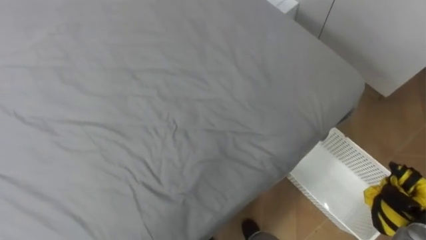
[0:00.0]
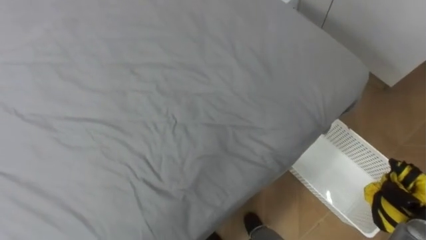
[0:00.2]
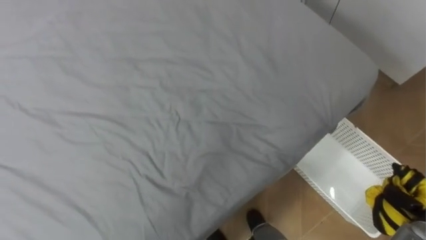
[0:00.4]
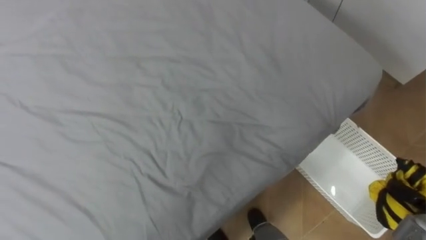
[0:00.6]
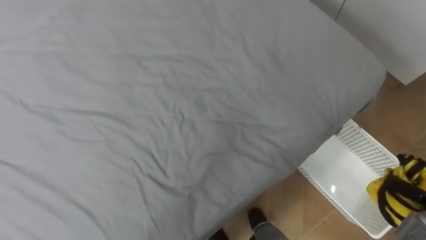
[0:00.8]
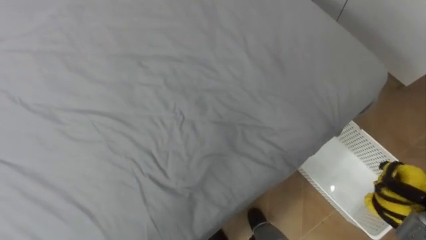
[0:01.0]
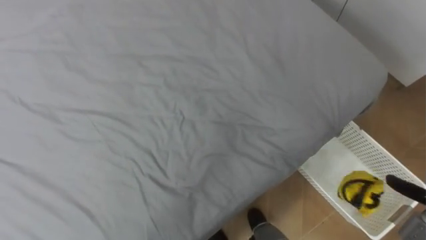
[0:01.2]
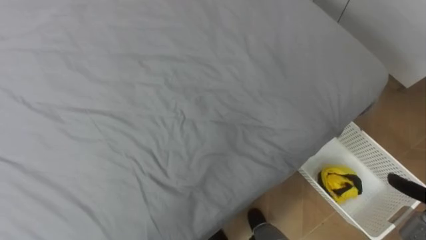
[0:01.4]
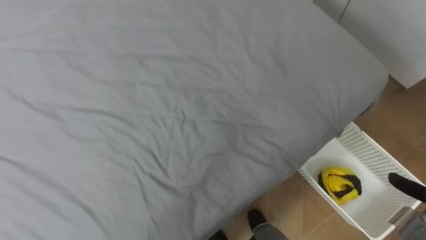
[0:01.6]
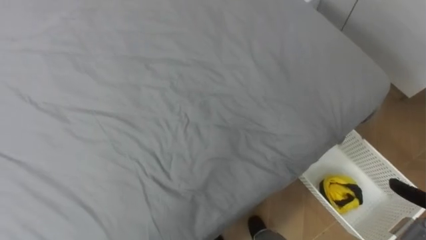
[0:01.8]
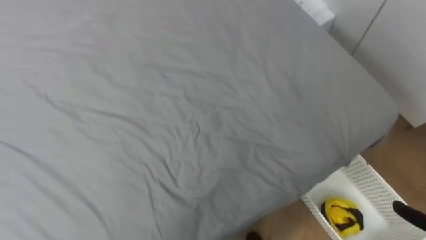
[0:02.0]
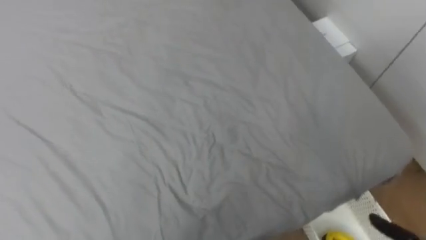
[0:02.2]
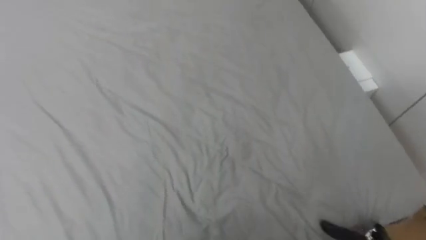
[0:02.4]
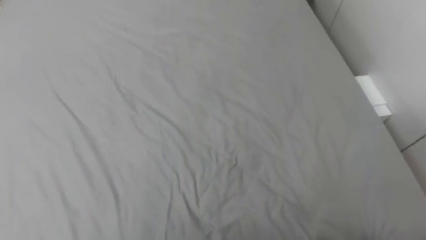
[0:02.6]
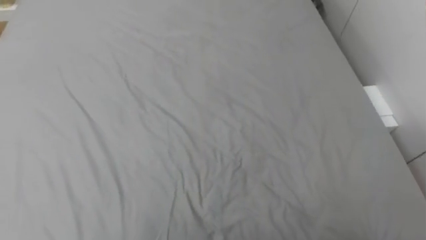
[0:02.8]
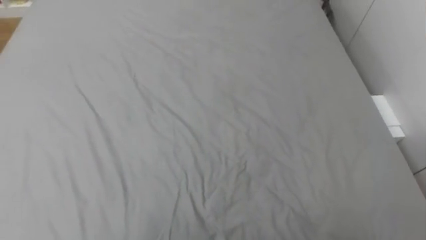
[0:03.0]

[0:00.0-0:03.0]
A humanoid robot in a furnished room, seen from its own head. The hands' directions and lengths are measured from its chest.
Task of the whole recording: Pick up the yellow clothes on the bed and place them into the white basket on the right.
0:01.6 to 0:03.0: The robot's body swings some 20 degrees to its left.

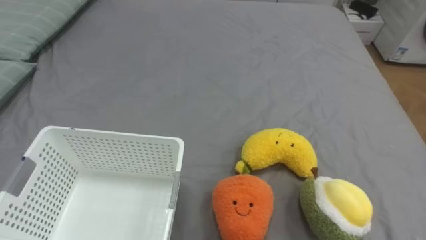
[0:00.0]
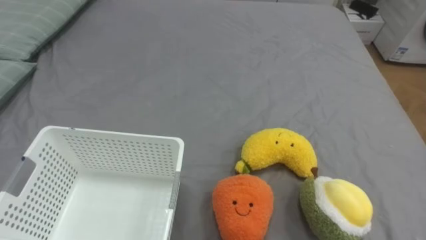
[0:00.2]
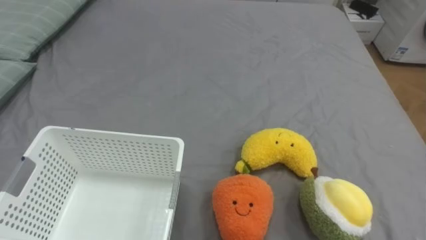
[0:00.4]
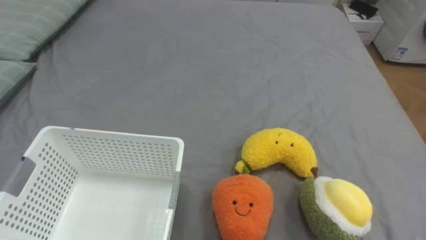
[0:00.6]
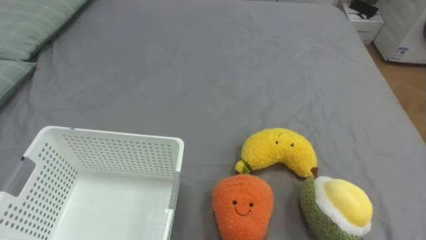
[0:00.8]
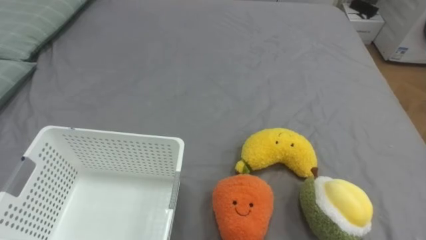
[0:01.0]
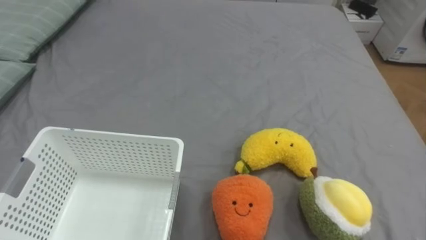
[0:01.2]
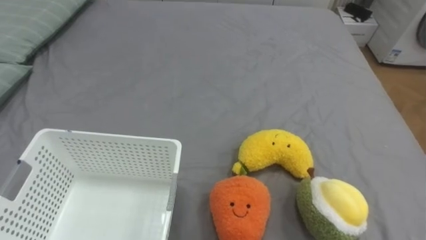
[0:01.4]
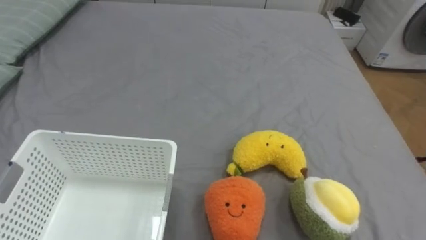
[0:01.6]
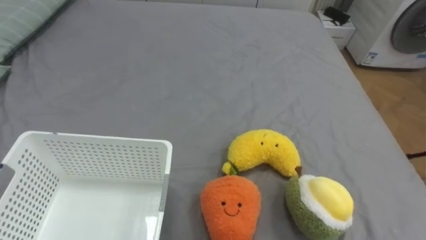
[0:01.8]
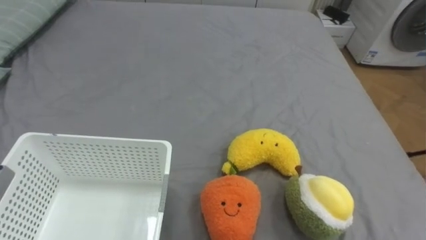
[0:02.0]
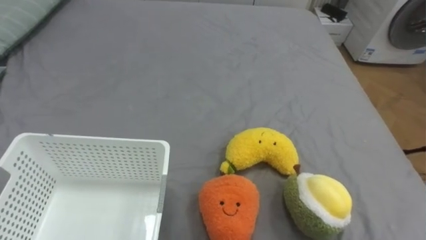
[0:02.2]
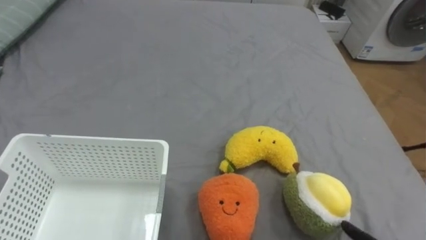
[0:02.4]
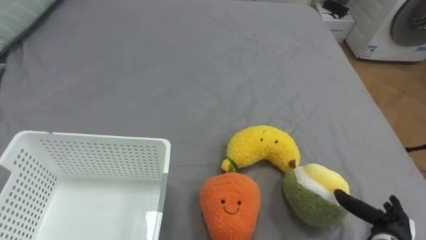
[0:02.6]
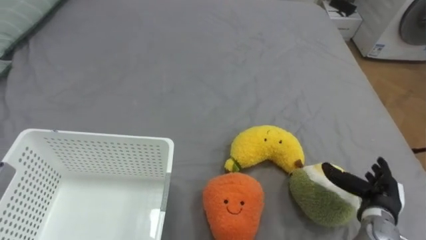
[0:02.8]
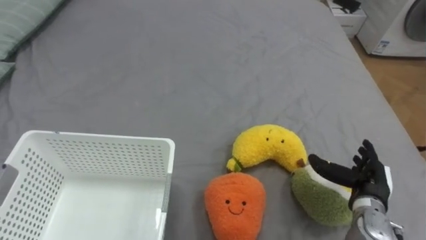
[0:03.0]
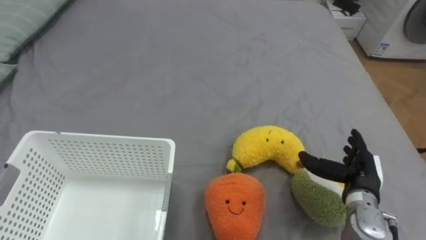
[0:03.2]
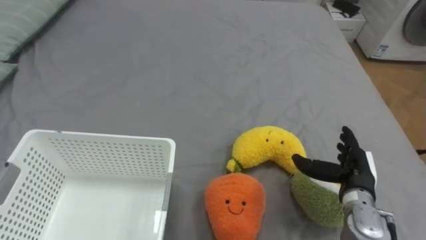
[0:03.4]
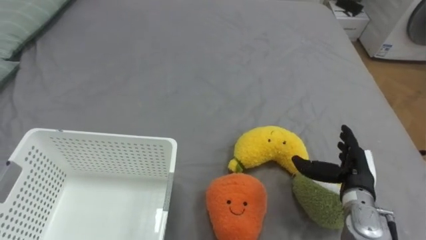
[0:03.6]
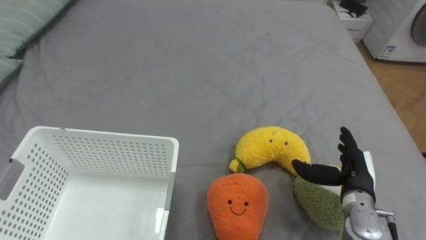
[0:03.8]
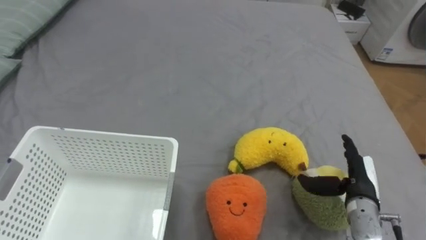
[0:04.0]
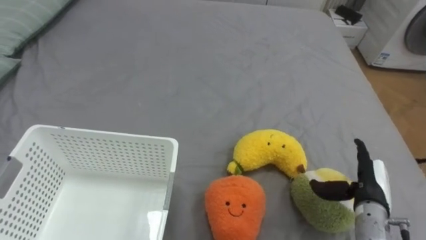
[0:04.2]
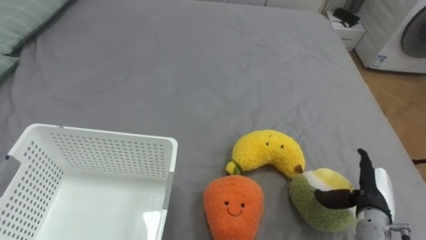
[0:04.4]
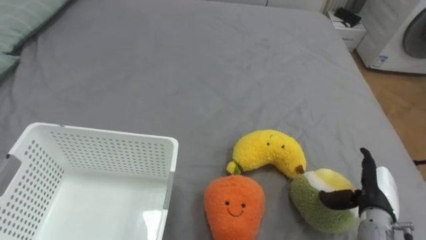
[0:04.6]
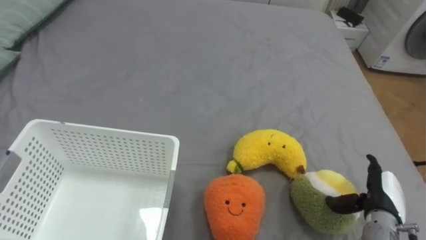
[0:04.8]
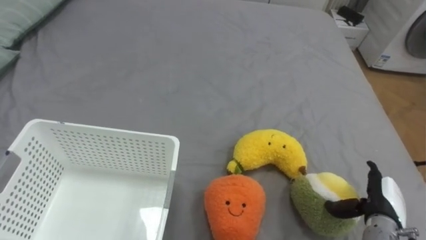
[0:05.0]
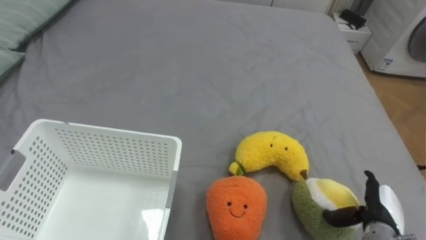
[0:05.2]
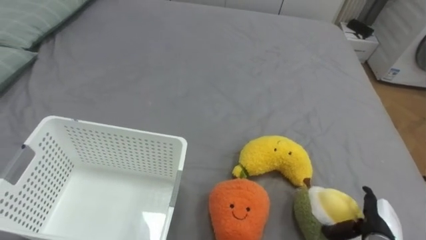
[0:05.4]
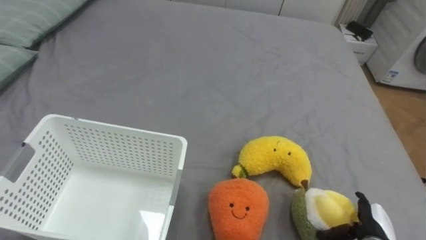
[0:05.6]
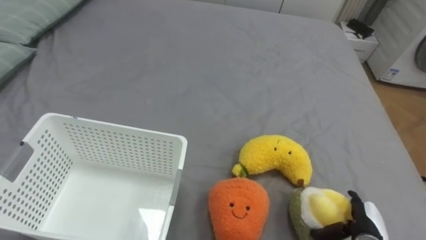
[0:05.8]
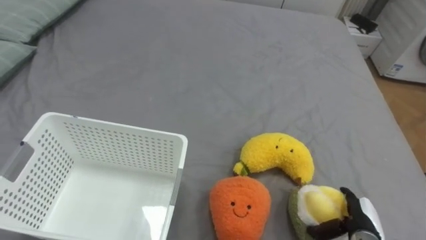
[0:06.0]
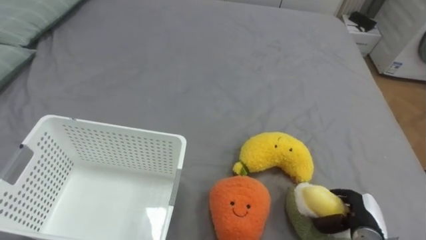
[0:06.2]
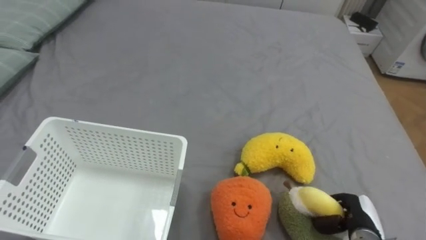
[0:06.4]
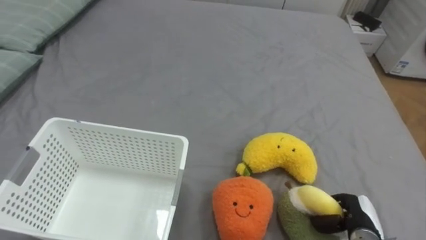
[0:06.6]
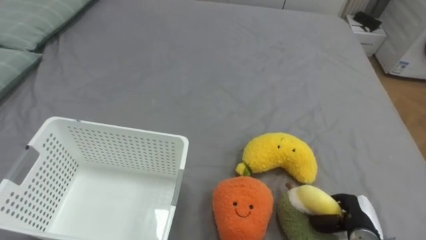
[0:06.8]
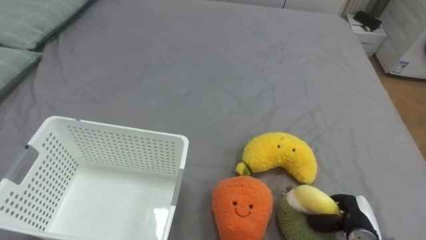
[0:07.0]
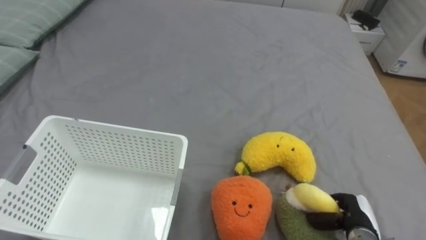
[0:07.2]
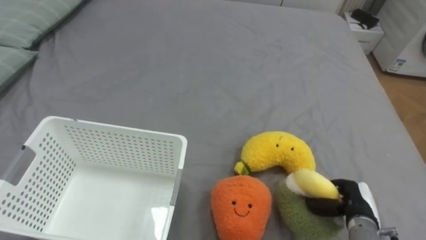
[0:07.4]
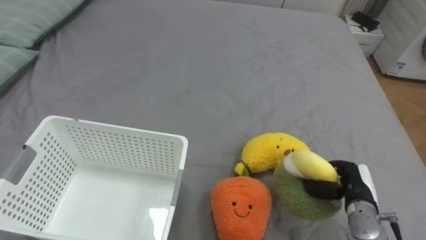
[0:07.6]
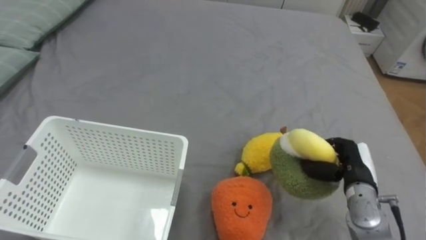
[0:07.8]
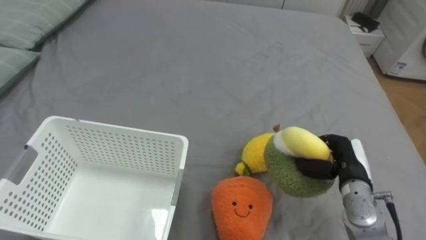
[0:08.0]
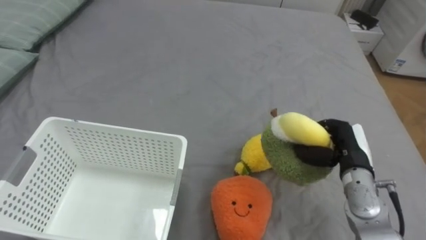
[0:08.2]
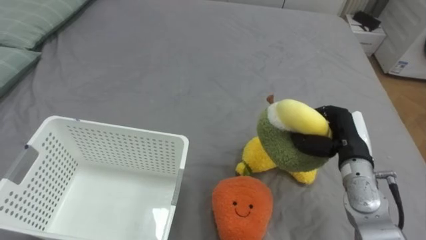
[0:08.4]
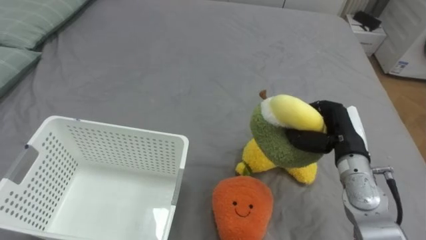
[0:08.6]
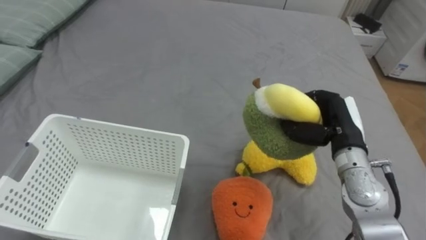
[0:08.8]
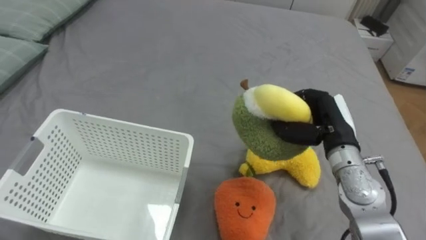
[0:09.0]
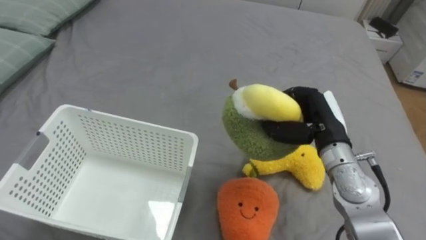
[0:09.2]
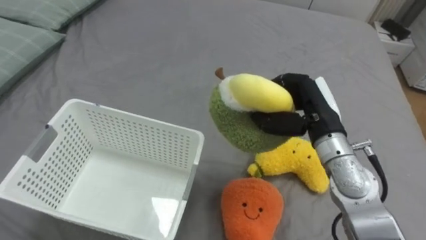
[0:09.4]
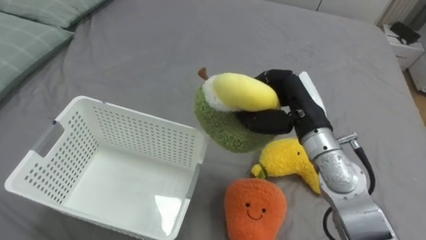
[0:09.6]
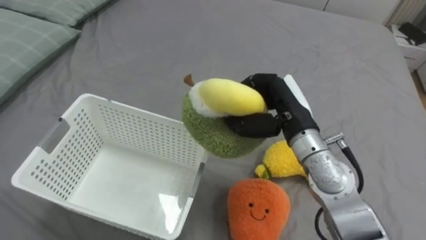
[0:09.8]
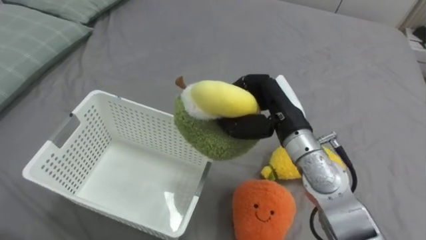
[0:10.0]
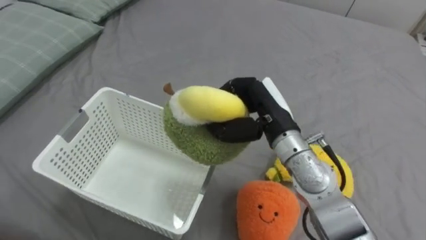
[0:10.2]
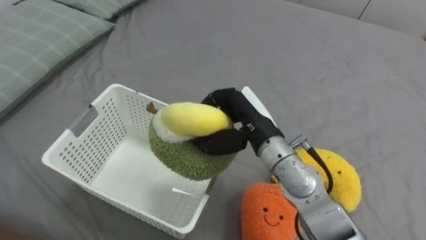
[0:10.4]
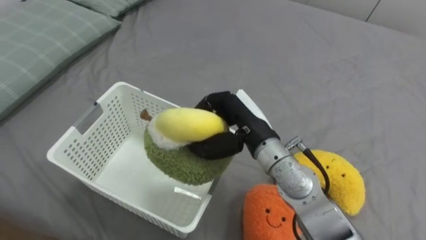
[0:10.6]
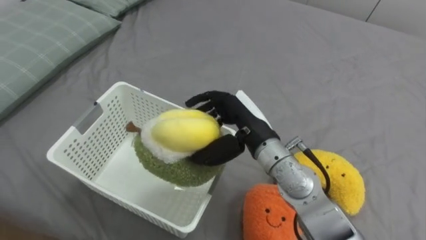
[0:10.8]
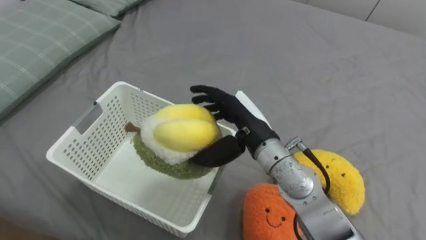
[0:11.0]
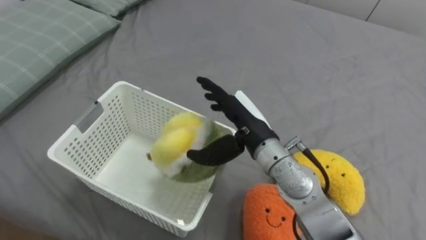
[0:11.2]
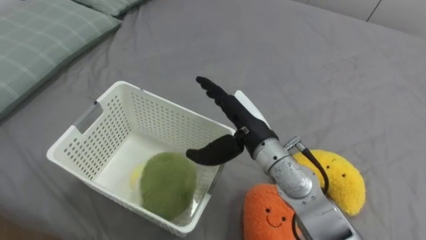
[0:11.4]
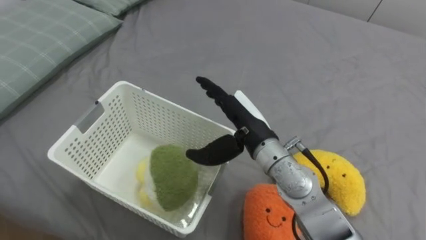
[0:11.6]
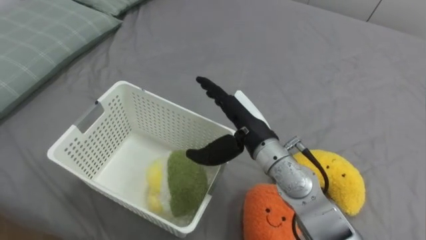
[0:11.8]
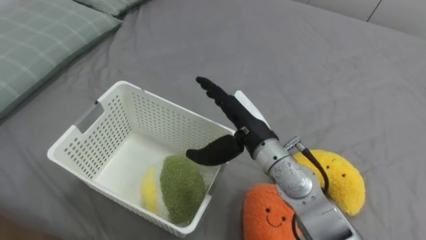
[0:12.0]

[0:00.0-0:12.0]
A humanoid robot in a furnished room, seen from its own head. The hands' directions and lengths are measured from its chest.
Task of the whole recording: Put the toys on the bed into the basket on the left.
0:04.4 to 0:06.0: The right hand is displaced downward by some 5 cm.
0:06.0 to 0:07.6: The right hand shifts by some 5 cm, and closes its fingers.
0:07.6 to 0:09.0: The right hand shifts about 15 cm upward, to the left and forward.
0:09.0 to 0:10.4: The right hand heads to the left, covering some 15 cm.
0:10.4 to 0:12.0: The right hand opens.

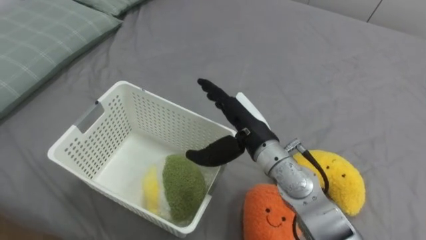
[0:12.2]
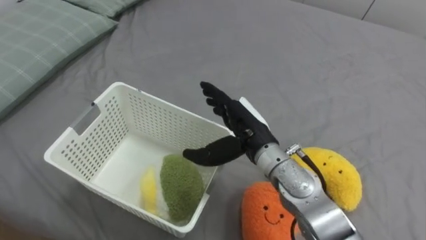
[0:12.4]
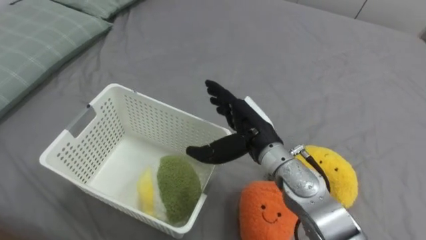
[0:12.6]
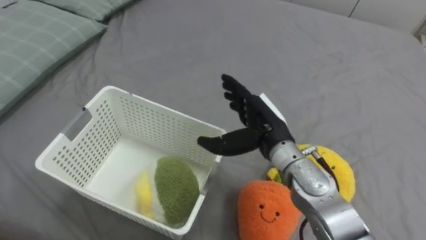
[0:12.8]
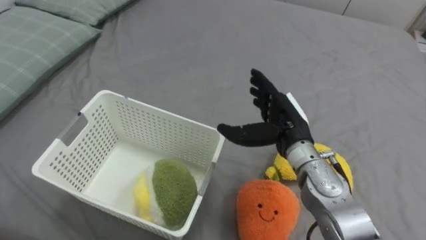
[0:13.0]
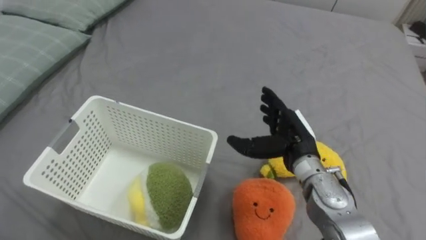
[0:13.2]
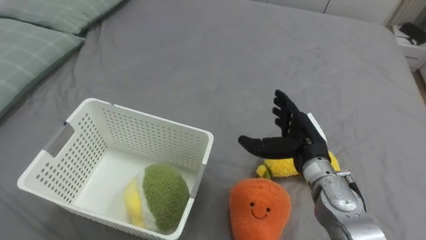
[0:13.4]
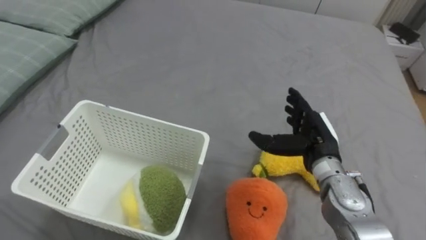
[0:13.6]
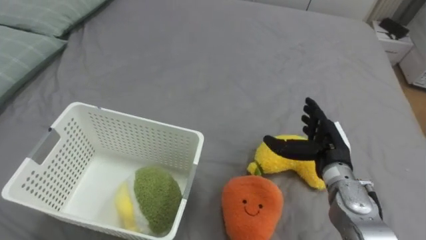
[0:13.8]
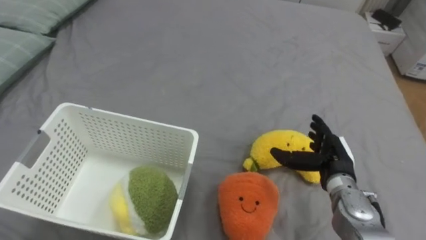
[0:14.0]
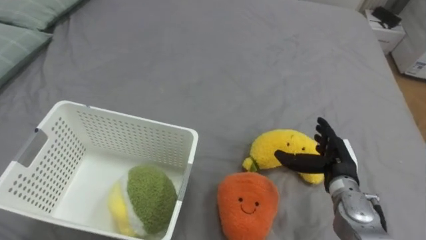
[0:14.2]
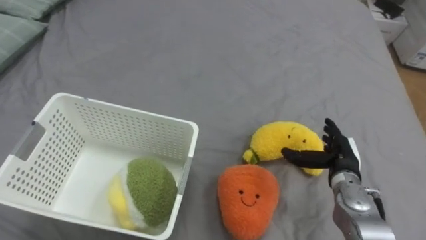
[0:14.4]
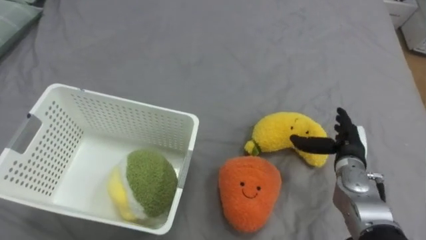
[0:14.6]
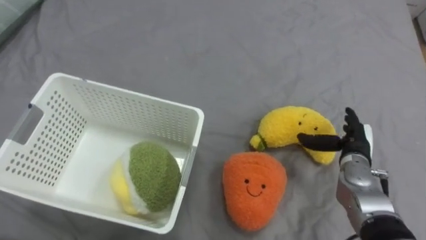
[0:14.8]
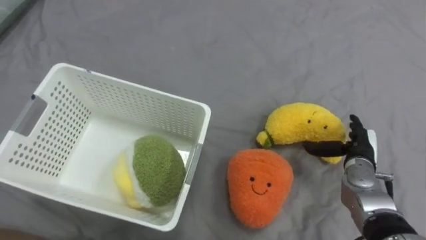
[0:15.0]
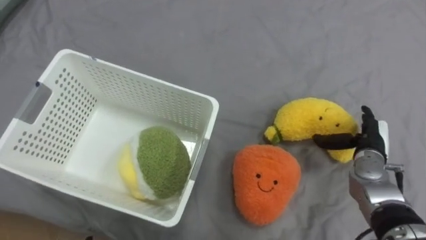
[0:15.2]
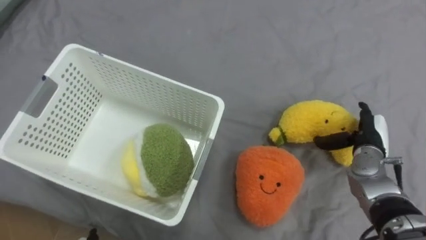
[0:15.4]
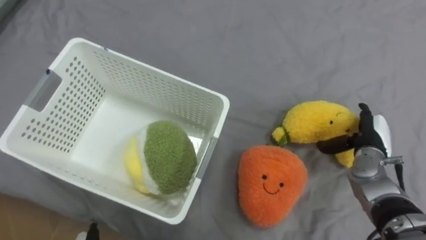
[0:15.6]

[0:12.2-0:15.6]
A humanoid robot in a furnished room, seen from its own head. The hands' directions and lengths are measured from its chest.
Task of the whole recording: Put the toys on the bed into the basket on the left.
0:12.2 to 0:13.8: The right hand goes about 15 cm to the right and downward.
0:13.8 to 0:15.6: The right hand goes some 10 cm to the right.
